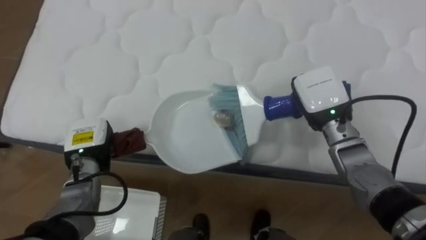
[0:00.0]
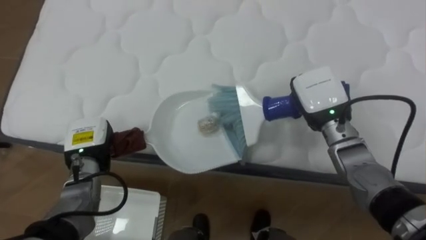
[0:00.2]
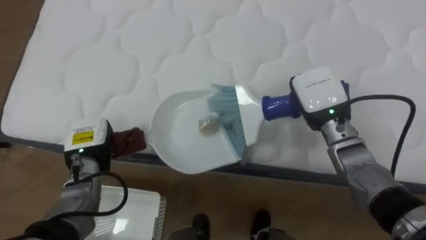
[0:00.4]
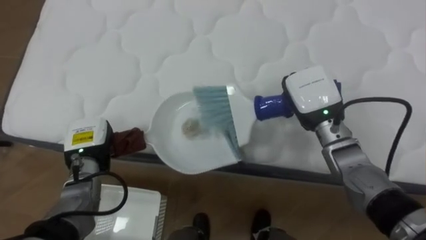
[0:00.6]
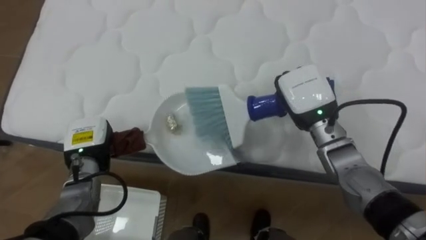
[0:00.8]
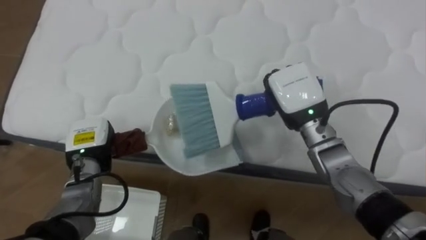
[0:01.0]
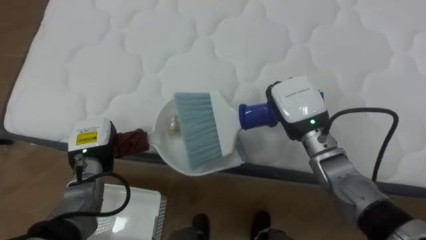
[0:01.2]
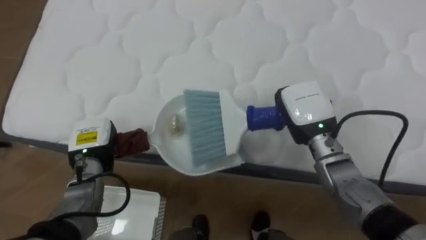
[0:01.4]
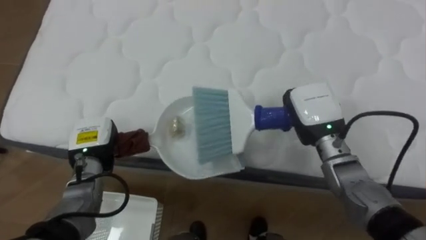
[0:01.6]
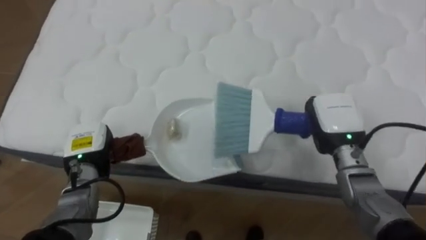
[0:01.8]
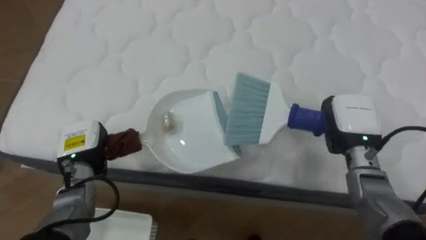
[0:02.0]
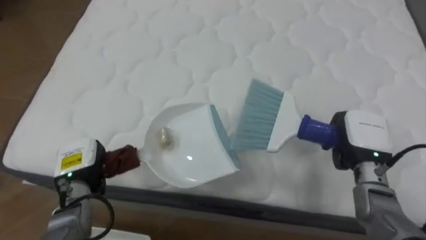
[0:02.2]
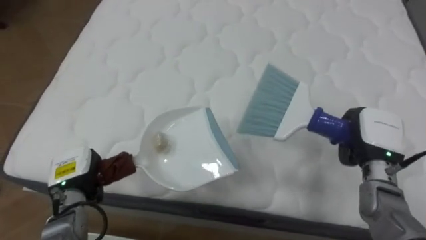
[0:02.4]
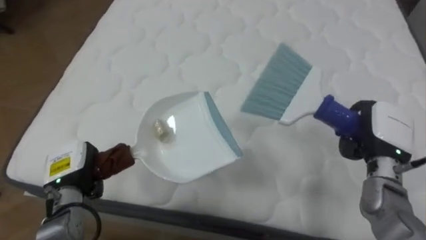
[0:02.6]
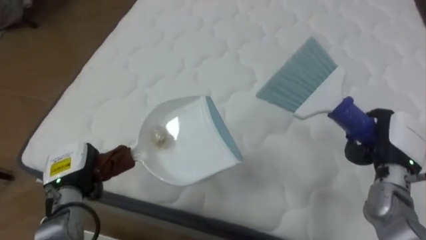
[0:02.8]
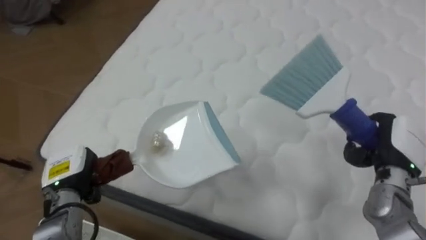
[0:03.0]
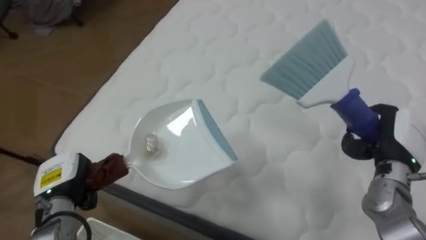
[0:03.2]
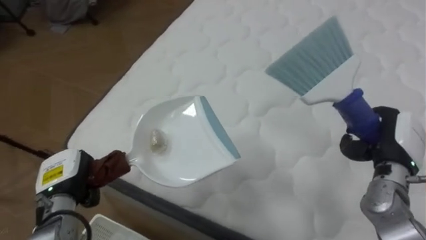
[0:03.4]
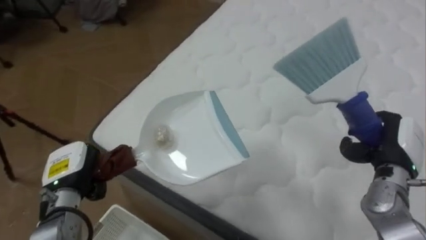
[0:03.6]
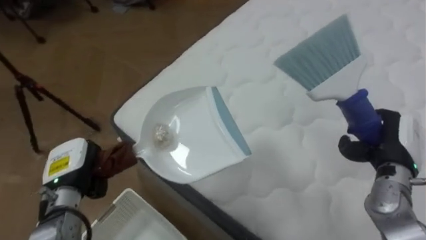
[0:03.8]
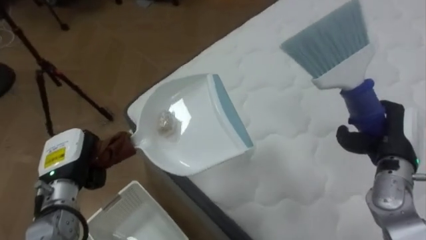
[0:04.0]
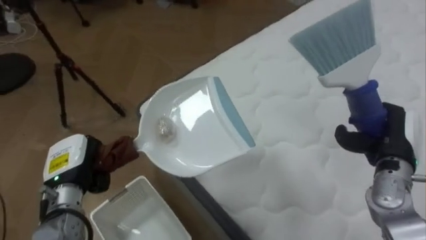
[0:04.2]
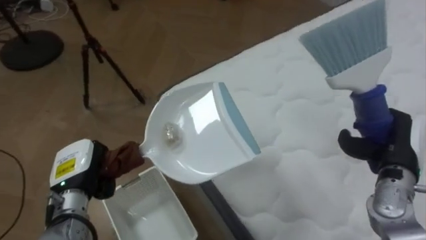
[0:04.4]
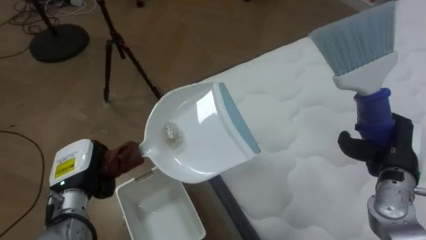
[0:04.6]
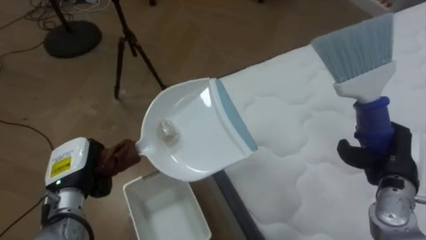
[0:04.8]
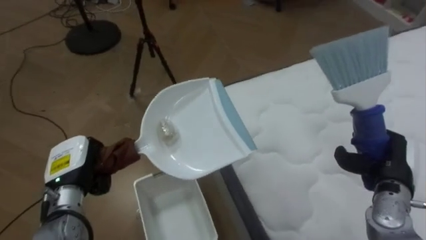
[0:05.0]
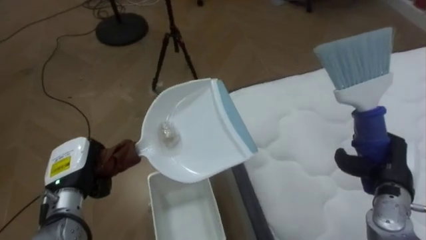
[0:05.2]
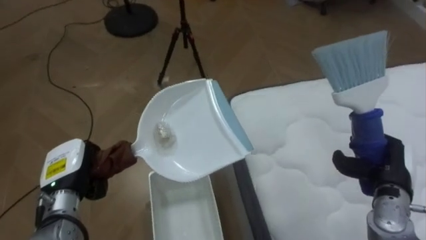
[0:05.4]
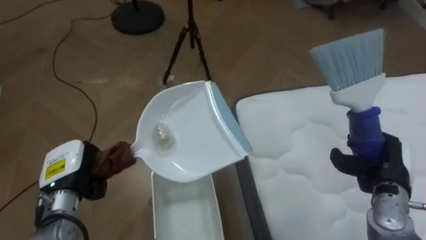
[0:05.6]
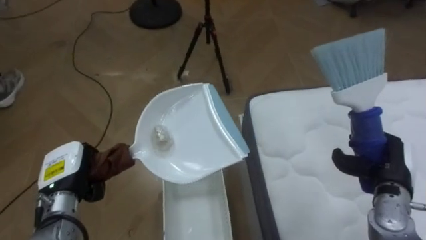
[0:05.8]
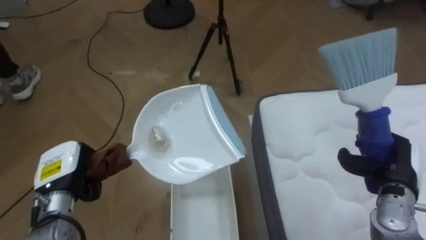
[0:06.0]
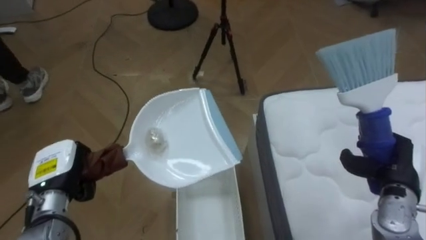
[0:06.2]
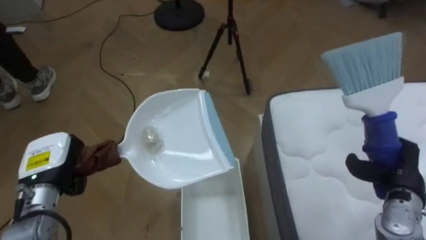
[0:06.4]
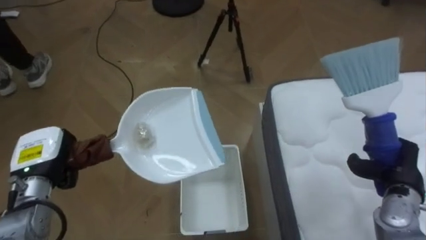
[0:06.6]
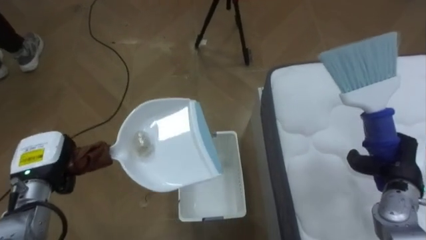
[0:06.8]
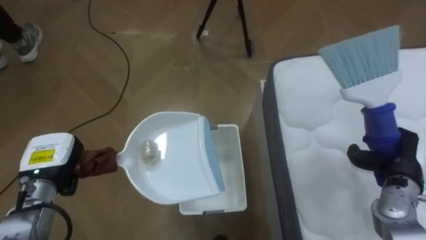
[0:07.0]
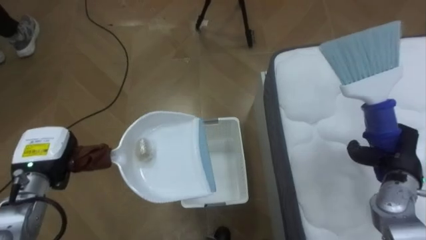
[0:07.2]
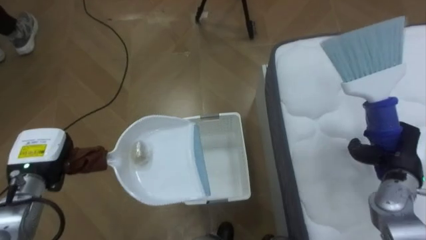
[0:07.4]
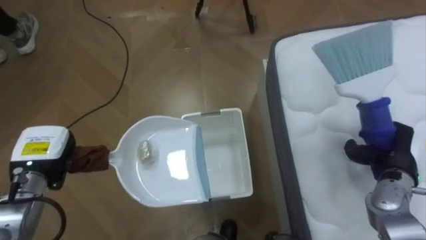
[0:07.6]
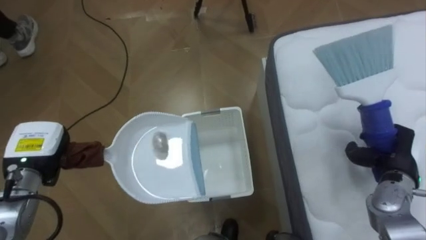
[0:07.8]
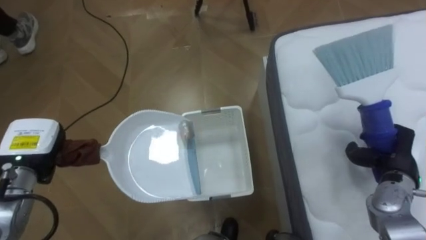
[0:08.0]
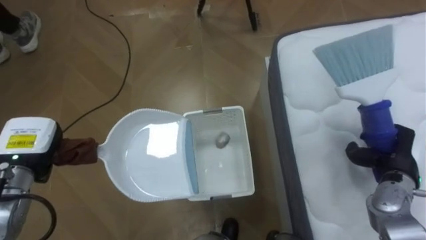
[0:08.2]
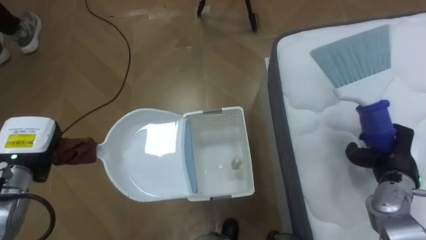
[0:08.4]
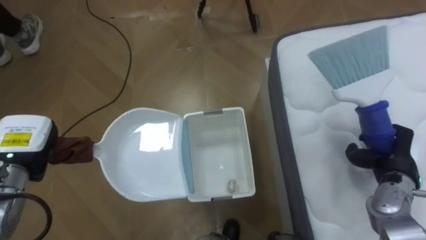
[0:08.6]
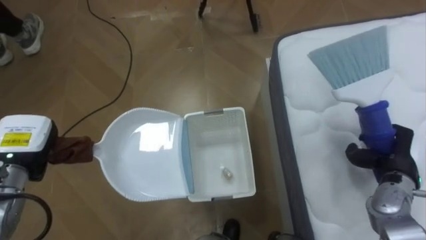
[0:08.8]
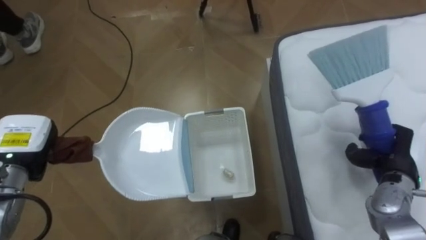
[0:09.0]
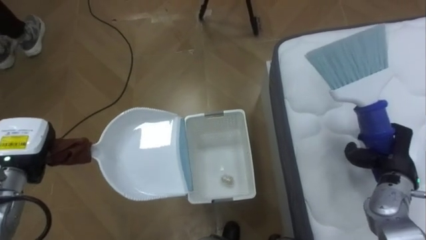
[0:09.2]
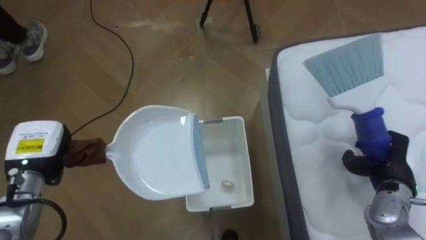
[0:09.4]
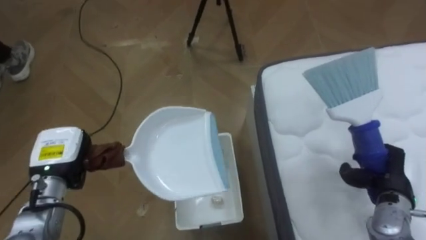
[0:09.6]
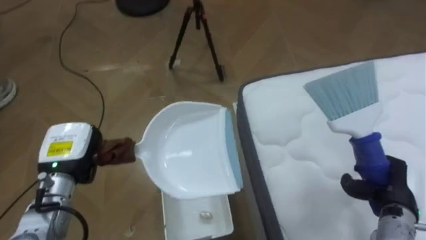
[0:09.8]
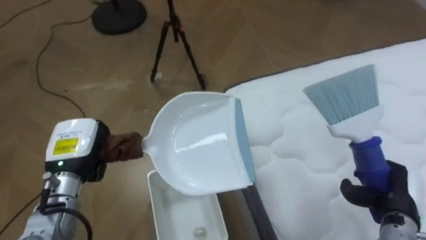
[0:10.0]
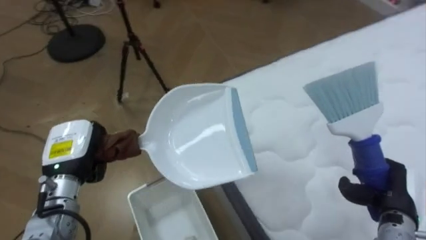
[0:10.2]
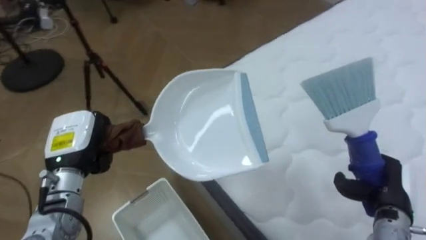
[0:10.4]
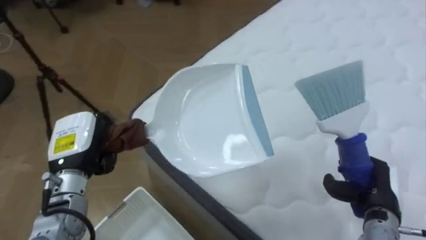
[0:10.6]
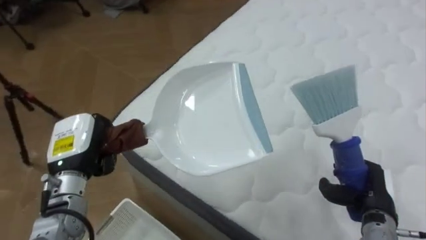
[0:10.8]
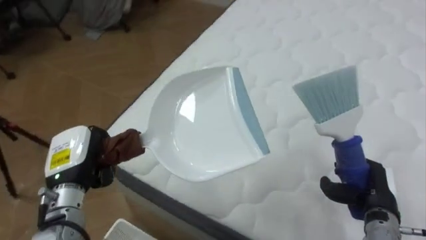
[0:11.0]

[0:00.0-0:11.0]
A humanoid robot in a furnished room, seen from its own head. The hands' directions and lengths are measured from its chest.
Task of the whole recording: Pick up the brush on your right and the dustpan on your left. Use the brush to sweep the crumpled paper on the bed into the dustpan, then turn left and empty it into the basket.
0:01.6 to 0:03.2: The robot faces about 15 degrees further to its left. The left hand shifts approximately 10 cm backward. The right hand is displaced to the right and backward by roughly 15 cm.
0:03.2 to 0:04.8: The robot's body swings approximately 45 degrees to its left.
0:04.8 to 0:06.2: The robot's body swings roughly 25 degrees to its left.
0:06.2 to 0:07.8: The left hand changes place by approximately 5 cm.
0:09.4 to 0:11.0: The robot rotates some 60 degrees to its right. The right hand changes place by some 5 cm. The left hand heads to the right, covering about 5 cm.

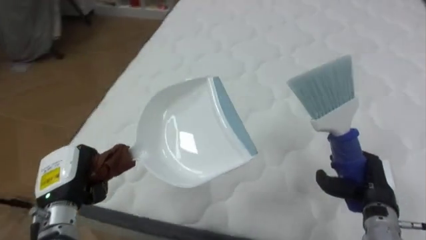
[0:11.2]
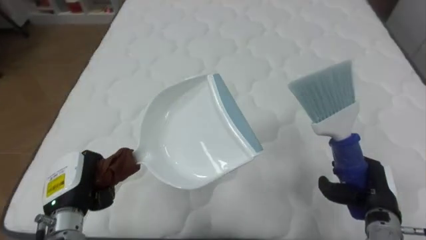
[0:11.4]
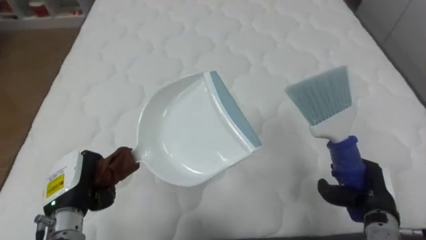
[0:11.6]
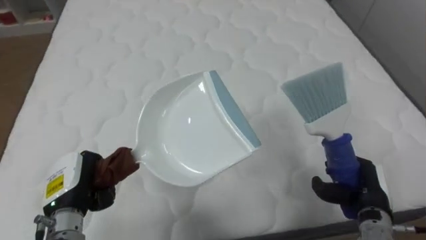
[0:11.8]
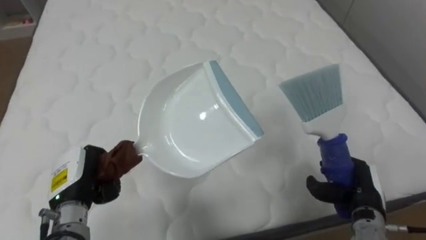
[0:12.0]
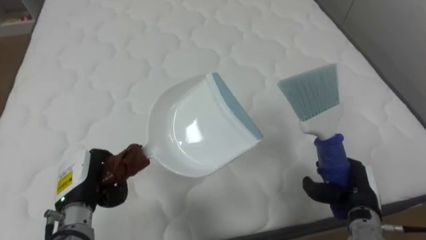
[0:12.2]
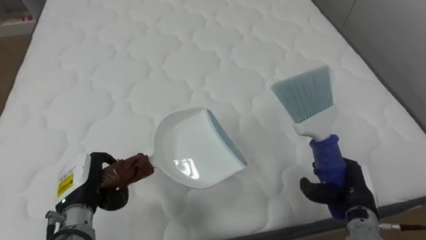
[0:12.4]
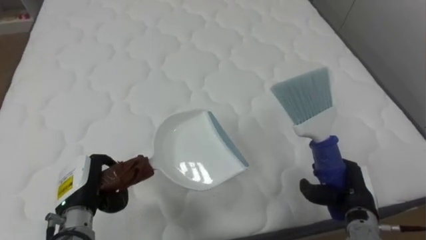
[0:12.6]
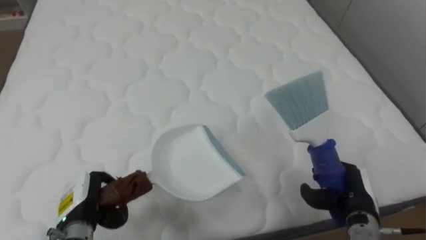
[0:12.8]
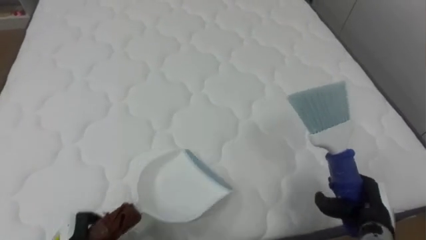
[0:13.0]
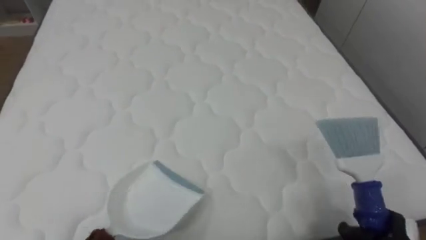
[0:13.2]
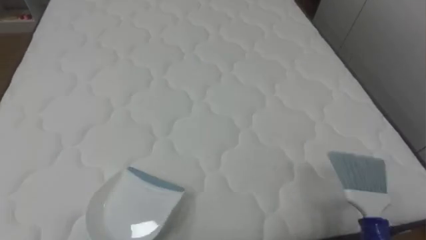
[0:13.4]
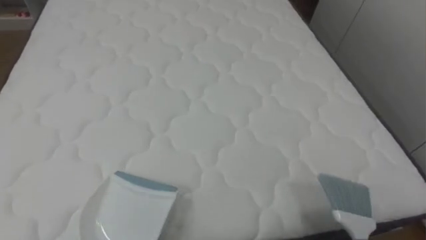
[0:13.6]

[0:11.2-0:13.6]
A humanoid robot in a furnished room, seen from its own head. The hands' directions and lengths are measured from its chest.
Task of the whole recording: Pick up the brush on your right and the dustpan on your left. Use the brush to sweep the crumpled paper on the bed into the dustpan, then turn left and empty it into the basket.
0:11.2 to 0:12.4: The robot's body swings approximately 20 degrees to its right.

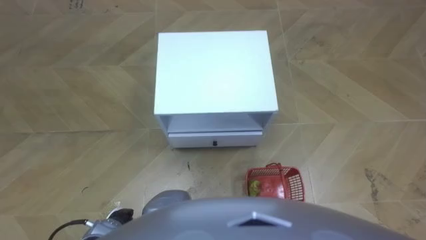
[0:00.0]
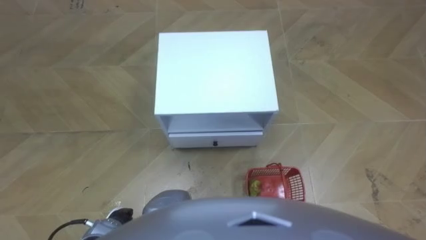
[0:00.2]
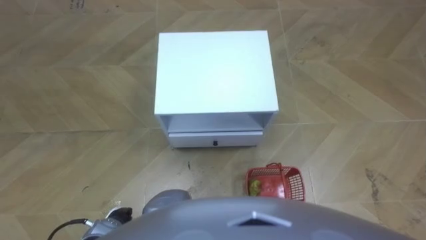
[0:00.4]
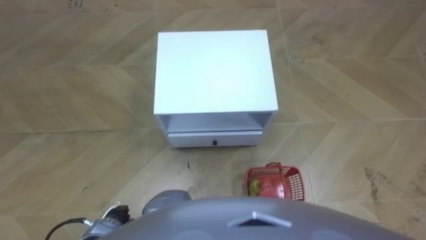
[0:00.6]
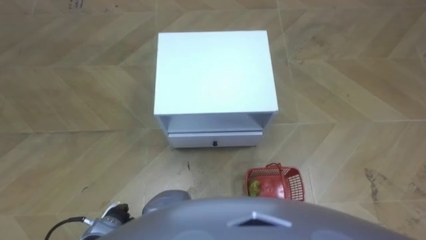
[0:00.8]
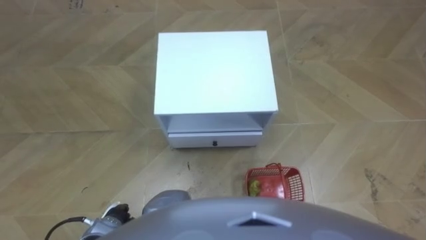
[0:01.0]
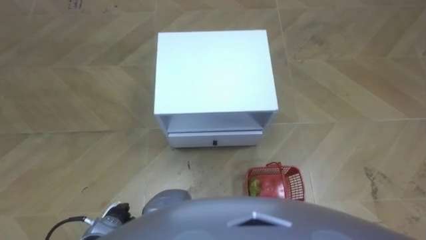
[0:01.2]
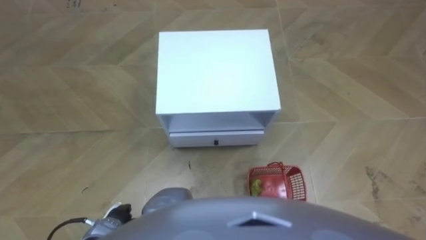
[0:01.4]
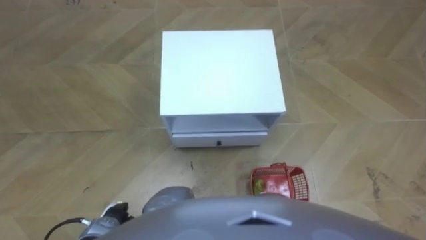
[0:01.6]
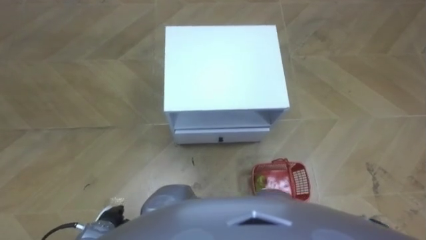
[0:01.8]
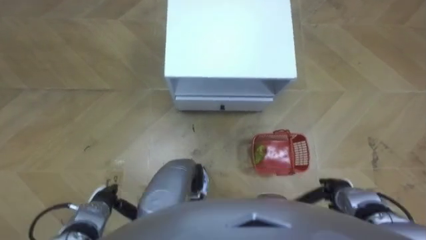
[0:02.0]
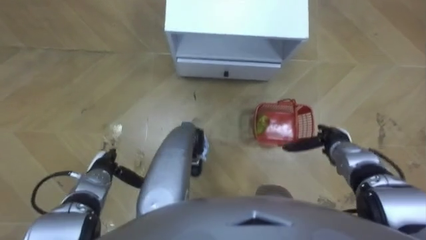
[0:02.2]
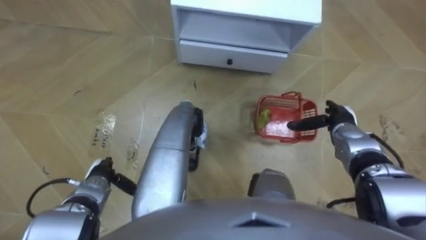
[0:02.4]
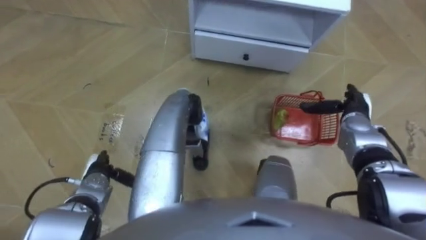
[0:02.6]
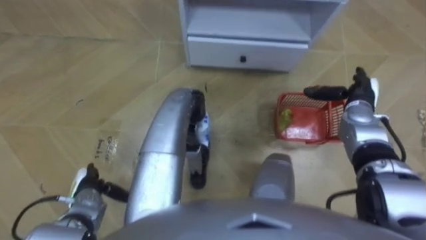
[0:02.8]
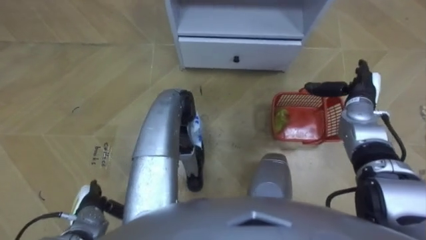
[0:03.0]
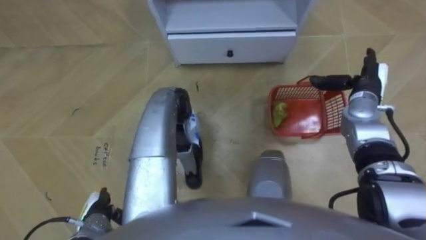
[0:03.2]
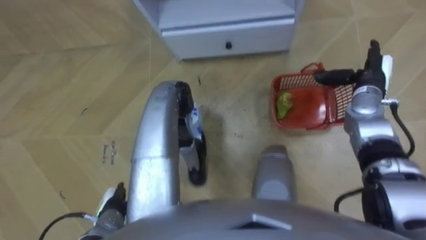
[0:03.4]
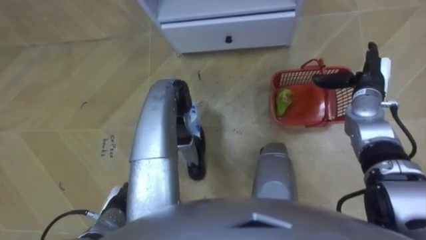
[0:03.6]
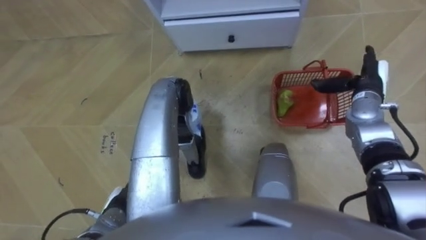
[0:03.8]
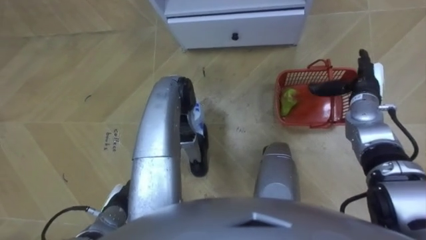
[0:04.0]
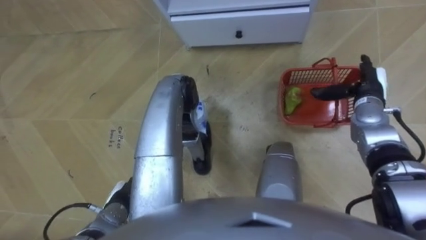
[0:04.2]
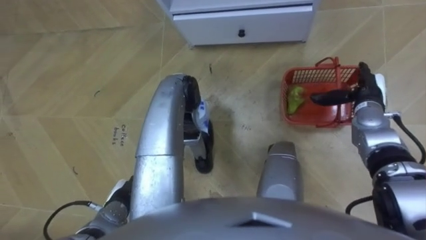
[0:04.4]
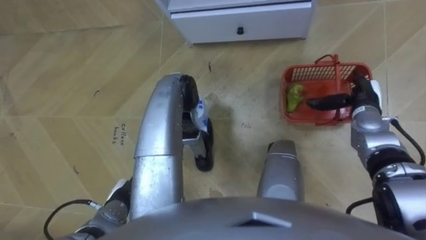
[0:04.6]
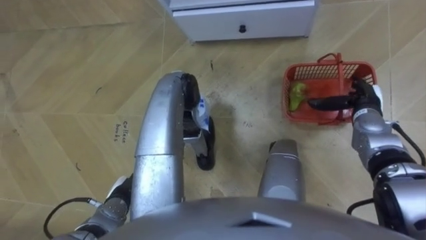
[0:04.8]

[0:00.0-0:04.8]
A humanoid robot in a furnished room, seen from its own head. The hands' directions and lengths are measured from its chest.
Task of the whole recording: Pick up the fruit basket from the floor and place it on the cabinet.
0:01.6 to 0:03.2: The left hand reaches some 10 cm forward, then returns. Meanwhile the right hand shifts approximately 35 cm forward and upward.
0:03.2 to 0:04.8: The left hand moves approximately 5 cm.
